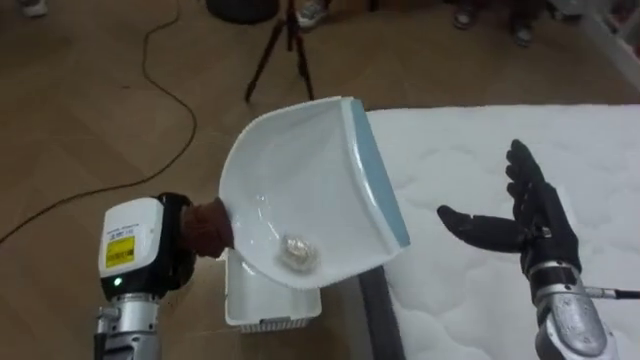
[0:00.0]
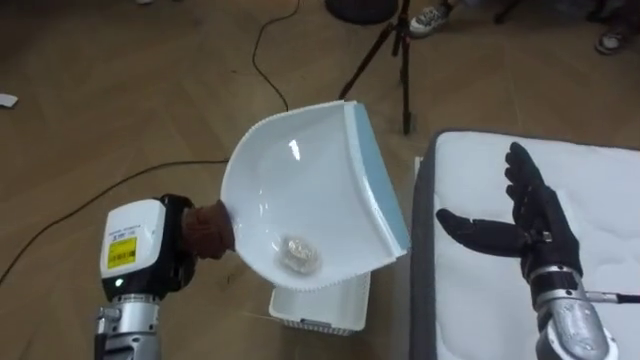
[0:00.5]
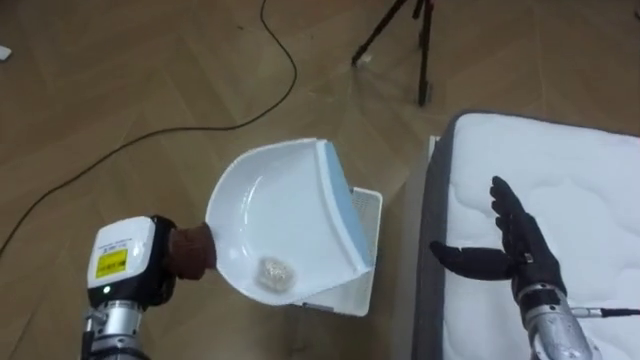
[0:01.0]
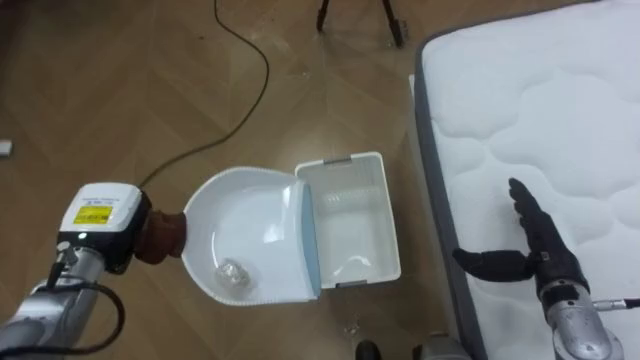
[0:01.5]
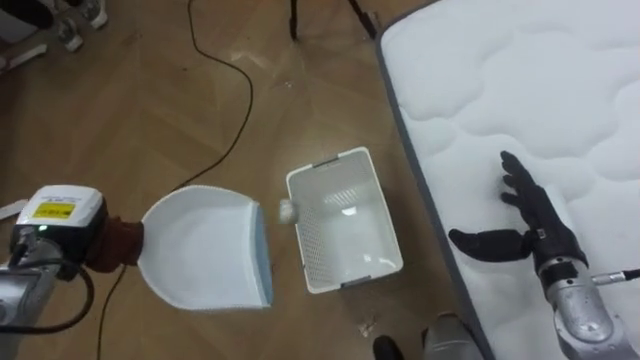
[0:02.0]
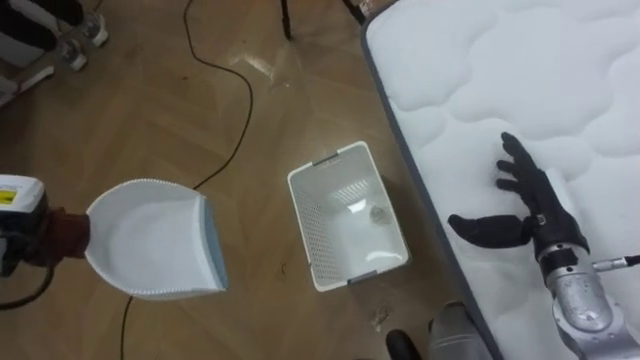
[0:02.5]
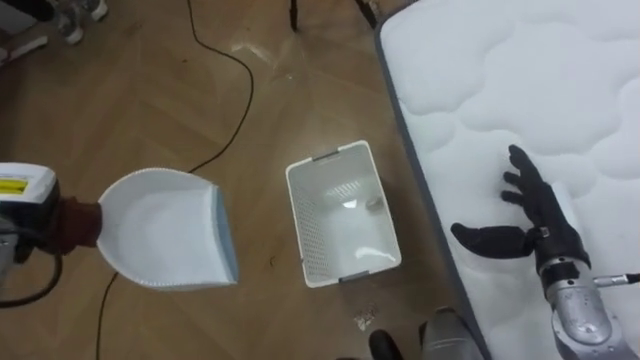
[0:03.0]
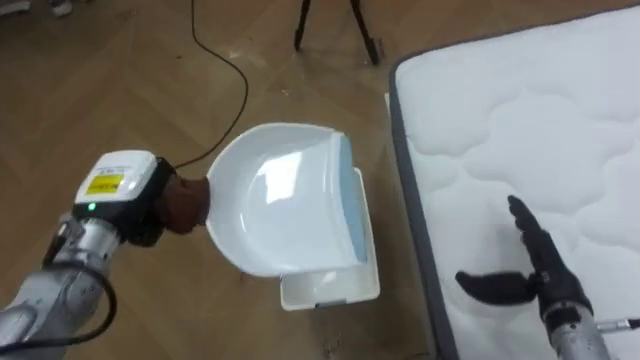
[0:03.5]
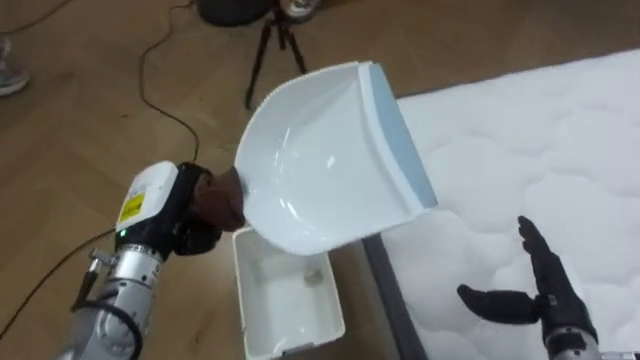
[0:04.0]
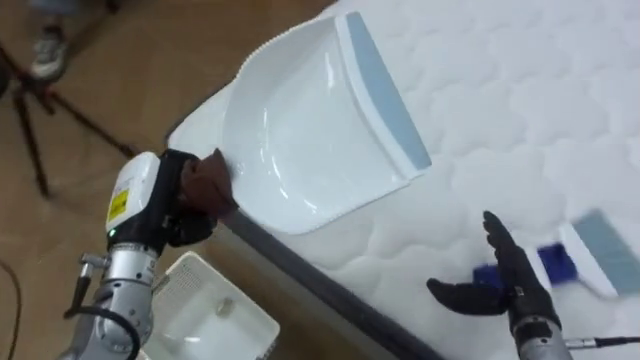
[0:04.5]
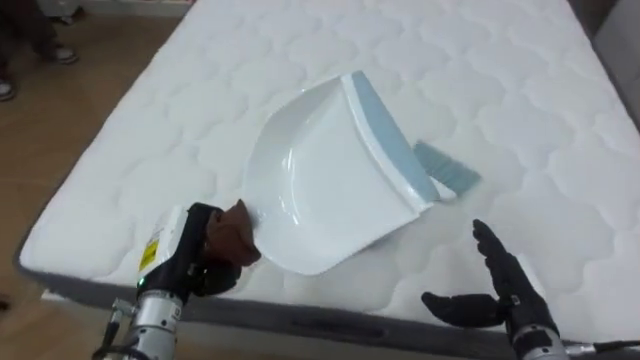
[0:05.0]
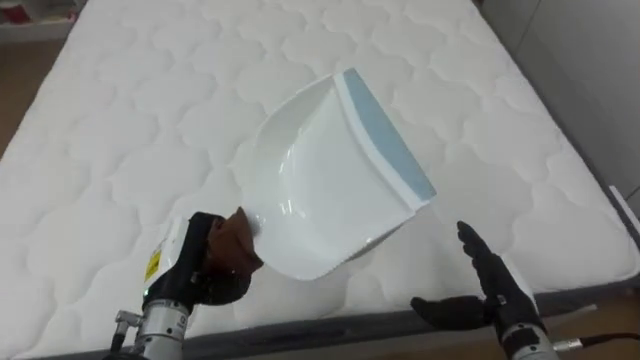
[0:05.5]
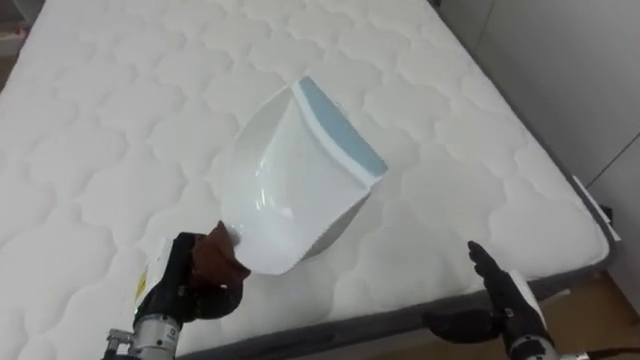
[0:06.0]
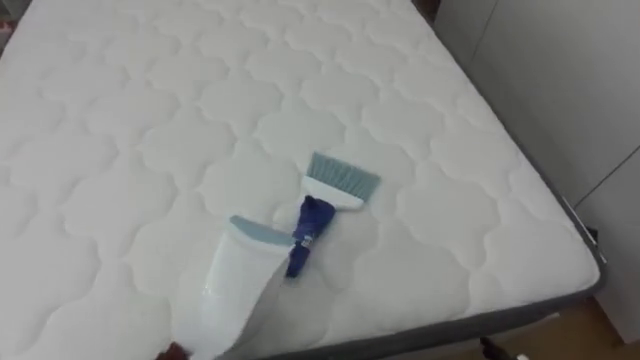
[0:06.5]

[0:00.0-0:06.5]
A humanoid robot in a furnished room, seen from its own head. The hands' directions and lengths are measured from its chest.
Task of the whole recording: Pick up the brush on your right and the dustpan on your left. Use the brush to sweep the crumpled paper on the bed into the dustpan, then turn left and empty it into the basket.
0:00.0 to 0:02.0: The left hand moves to the left and forward, about 10 cm.
0:02.0 to 0:04.5: The robot's body swings about 60 degrees to its right. The right hand moves backward, roughly 5 cm.
0:04.5 to 0:06.5: The robot turns to its right by approximately 45 degrees.

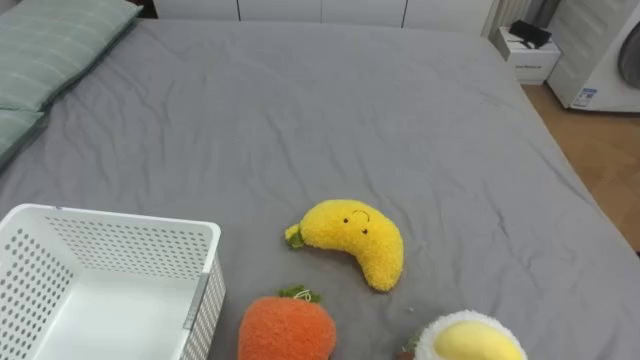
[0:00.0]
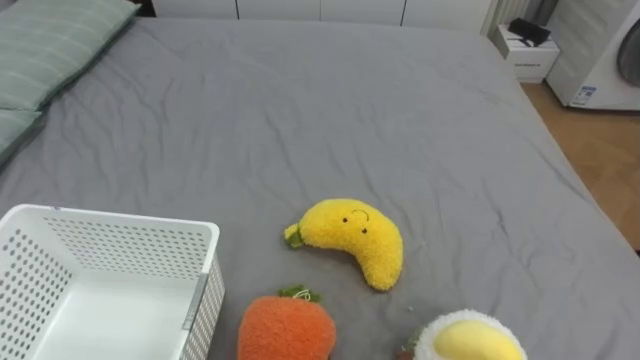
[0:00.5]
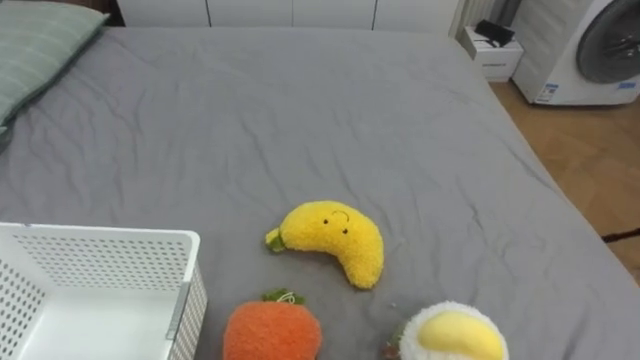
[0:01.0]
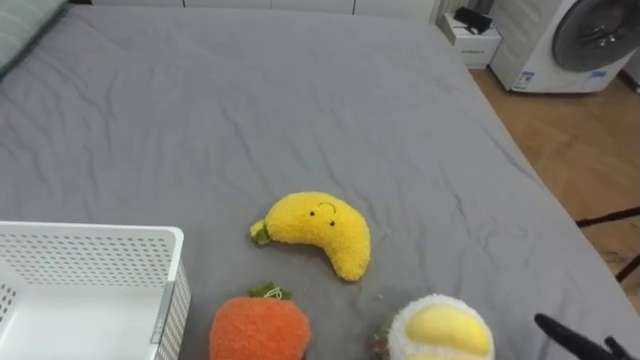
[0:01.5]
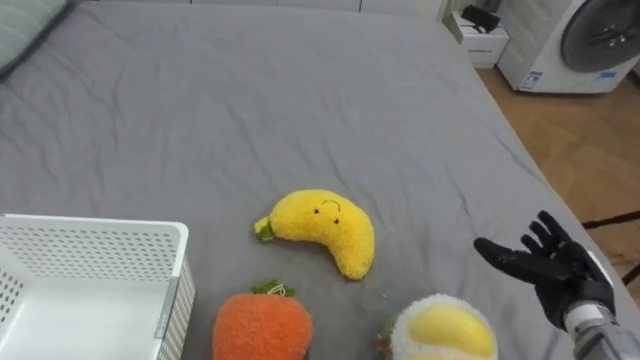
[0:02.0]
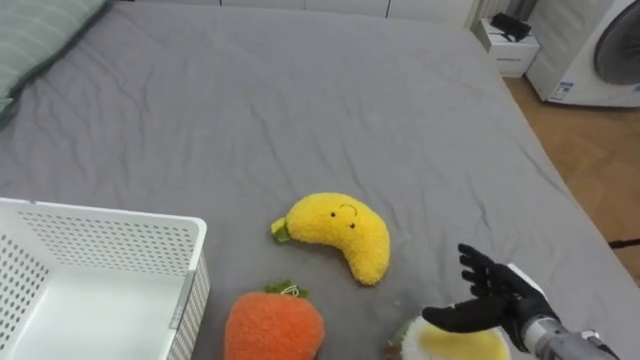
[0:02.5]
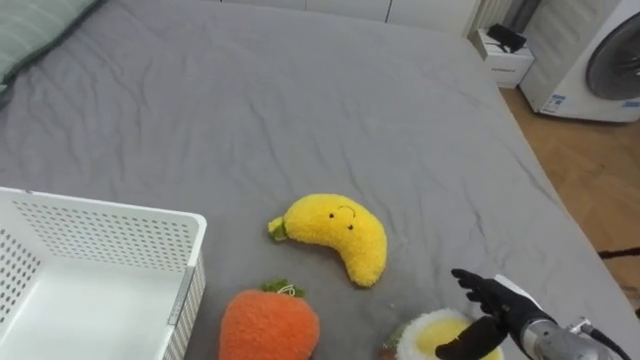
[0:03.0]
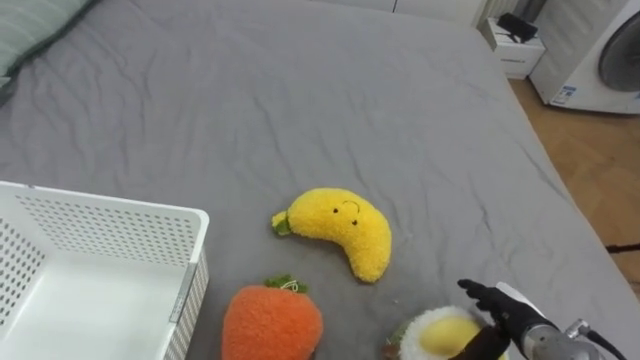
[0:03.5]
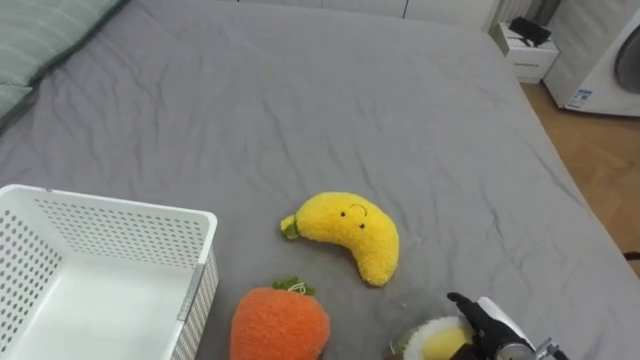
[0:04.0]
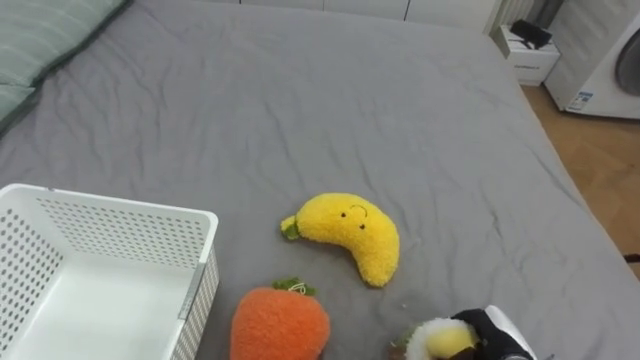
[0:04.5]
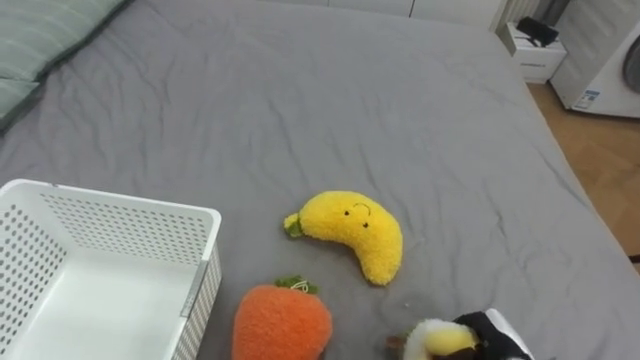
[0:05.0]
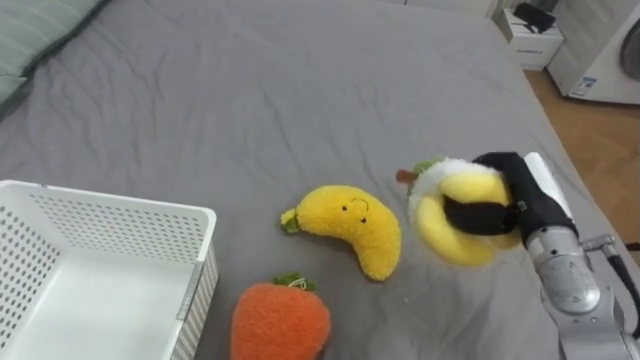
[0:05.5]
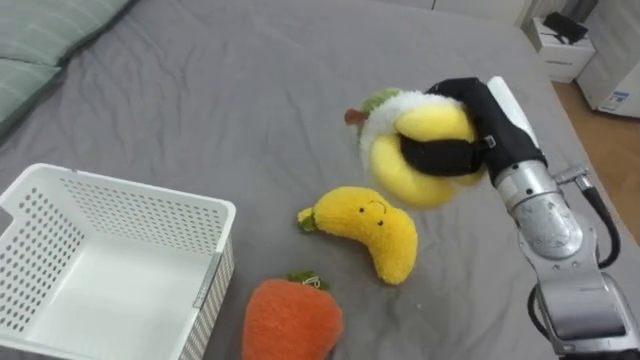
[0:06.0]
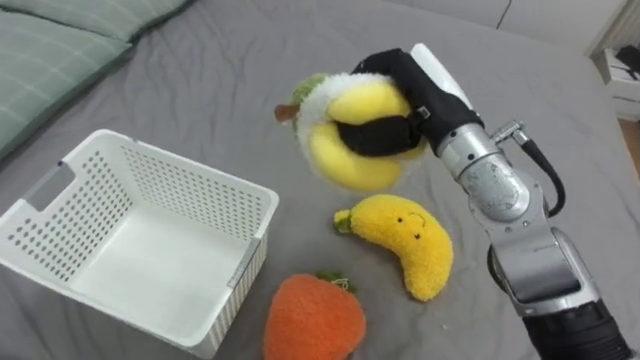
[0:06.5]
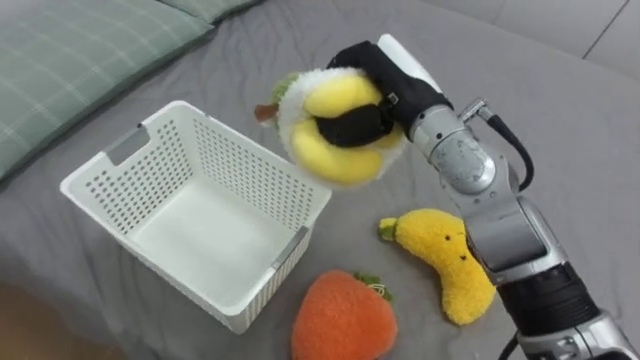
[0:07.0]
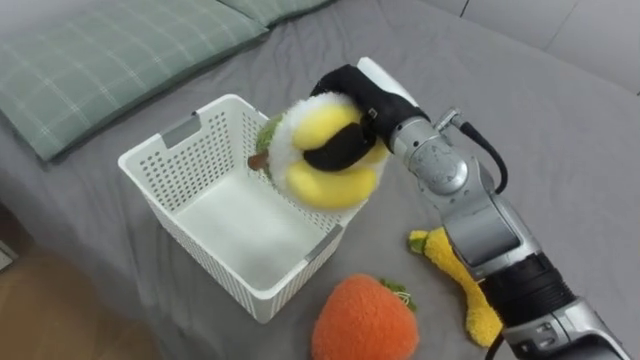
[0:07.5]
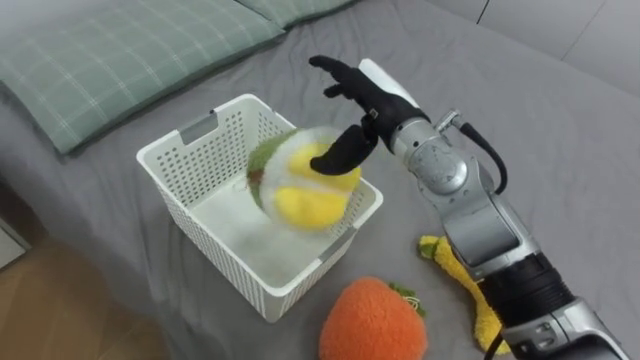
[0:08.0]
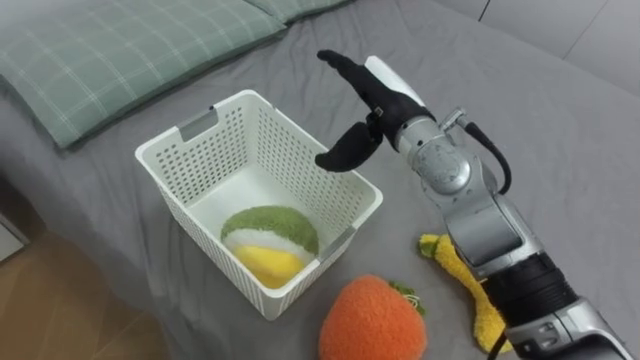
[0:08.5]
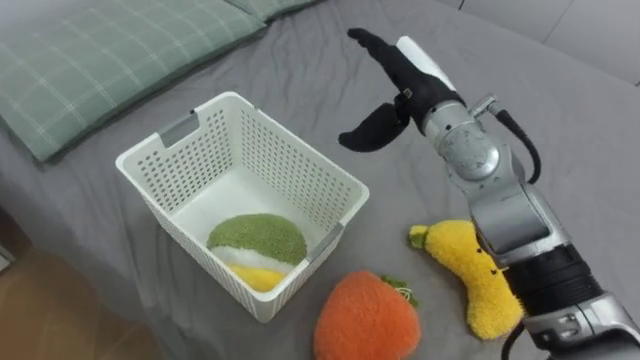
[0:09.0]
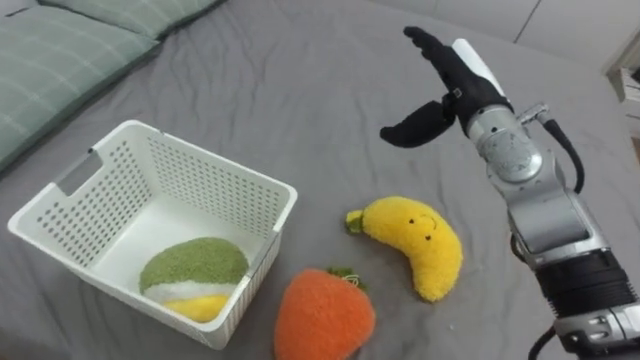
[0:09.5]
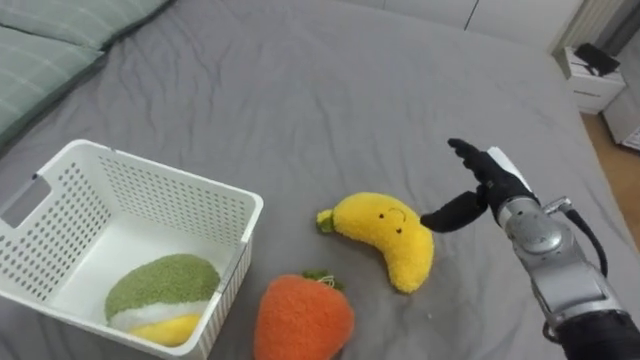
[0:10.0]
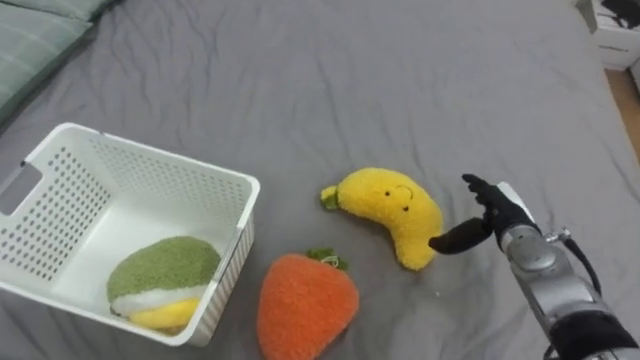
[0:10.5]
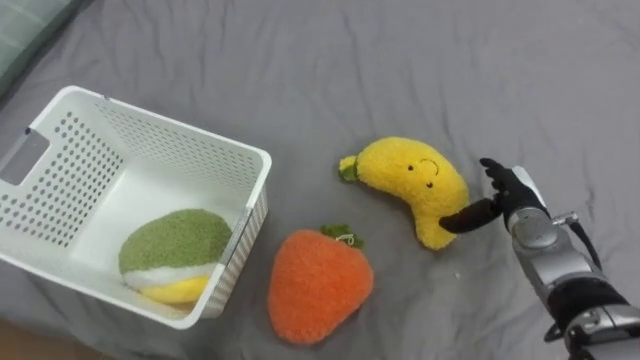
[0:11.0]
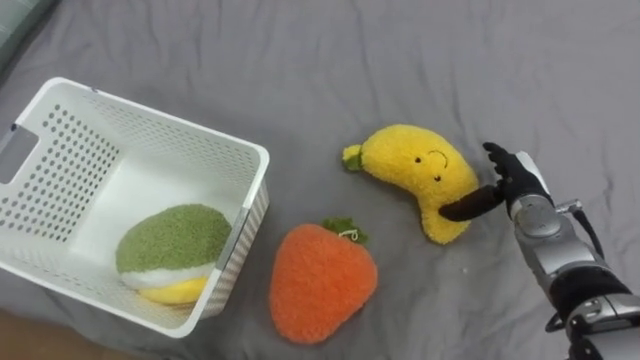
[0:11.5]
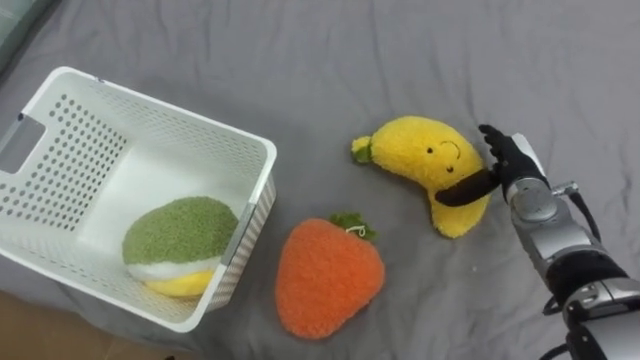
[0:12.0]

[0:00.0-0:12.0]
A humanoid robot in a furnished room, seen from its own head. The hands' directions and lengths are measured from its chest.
Task of the whole recording: Put the toys on the bed into the basket on the left.
0:02.0 to 0:04.0: The right hand shifts some 10 cm to the left and downward.
0:04.0 to 0:06.0: The right hand goes about 30 cm upward and forward, and closes.
0:06.0 to 0:08.0: The right hand moves to the left, roughly 15 cm, and opens up.
0:08.0 to 0:10.0: The right hand heads to the right and downward, covering roughly 20 cm.

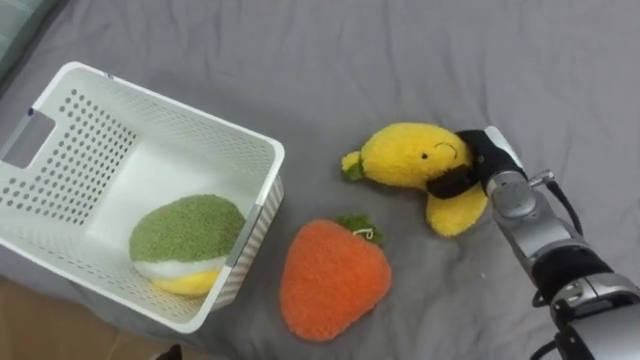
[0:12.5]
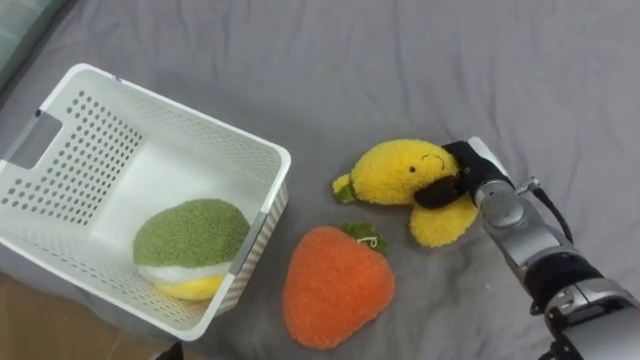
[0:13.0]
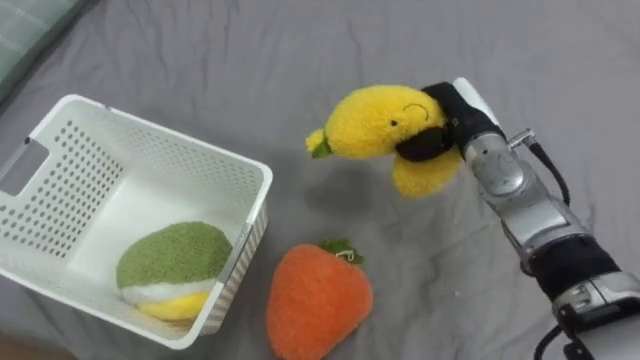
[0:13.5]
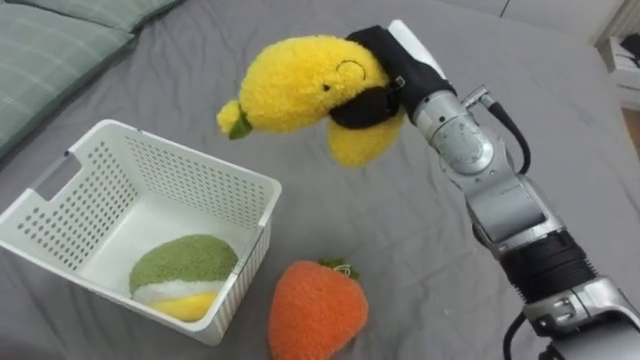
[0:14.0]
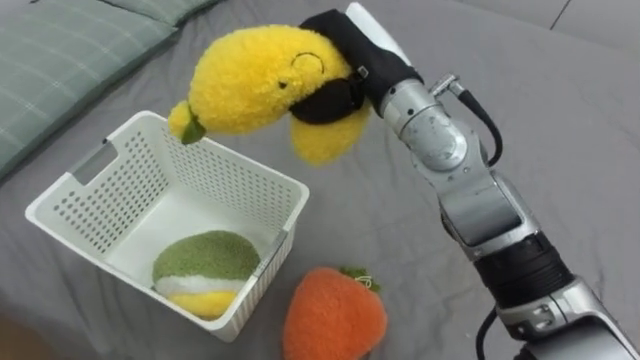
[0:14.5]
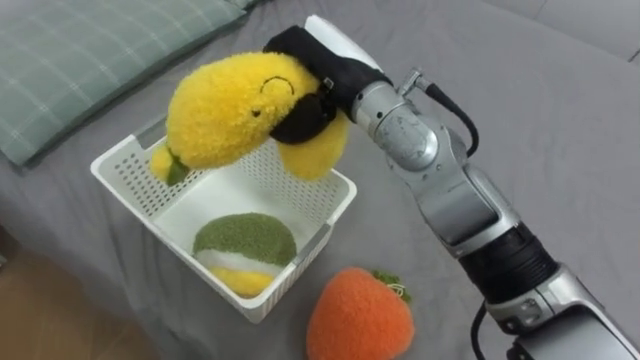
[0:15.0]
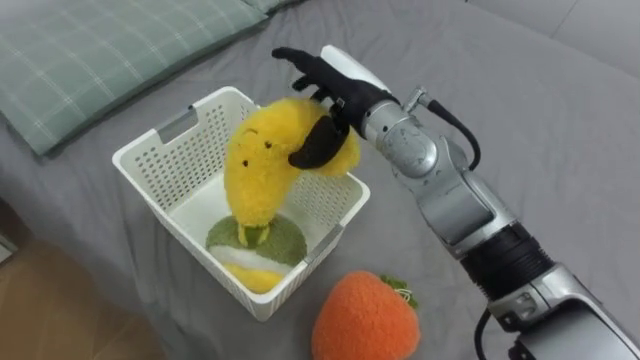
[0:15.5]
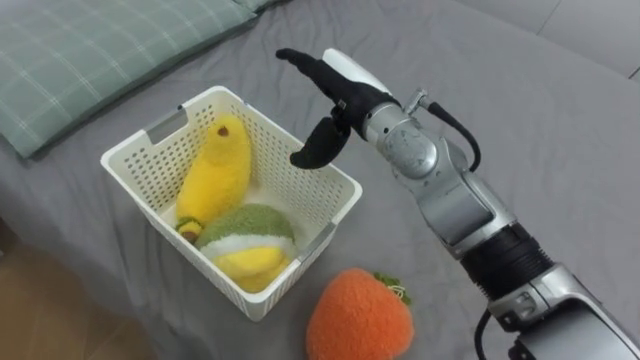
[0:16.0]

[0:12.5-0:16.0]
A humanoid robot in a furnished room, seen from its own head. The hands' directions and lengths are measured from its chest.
Task of the whole recording: Put the toys on the bed into the basket on the left.
0:12.5 to 0:14.5: The right hand moves to the left and upward, about 25 cm.
0:14.5 to 0:16.0: The right hand moves about 5 cm, and opens up.
